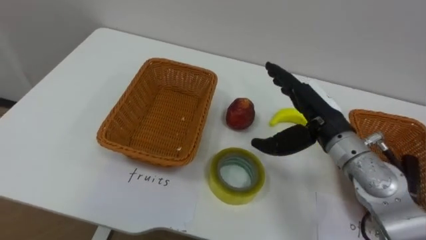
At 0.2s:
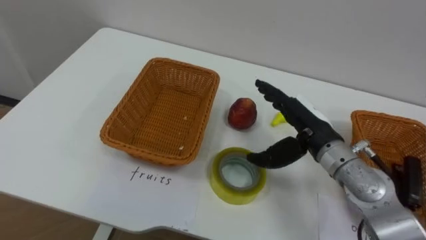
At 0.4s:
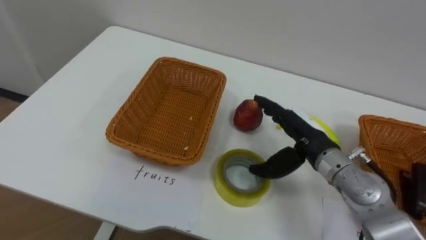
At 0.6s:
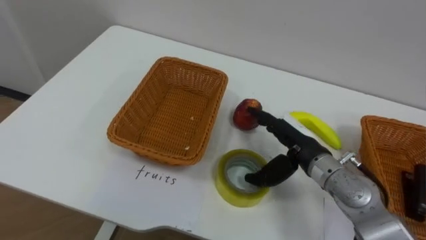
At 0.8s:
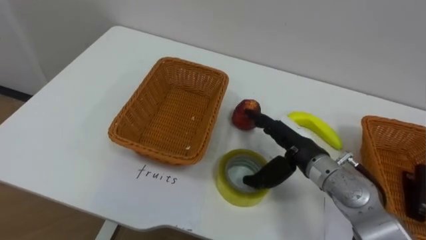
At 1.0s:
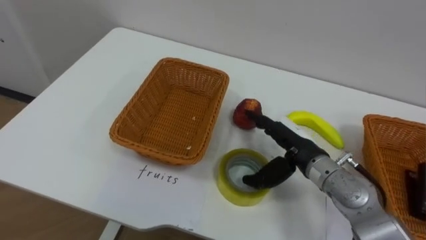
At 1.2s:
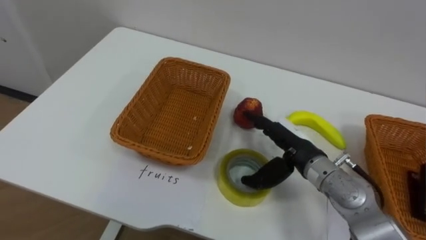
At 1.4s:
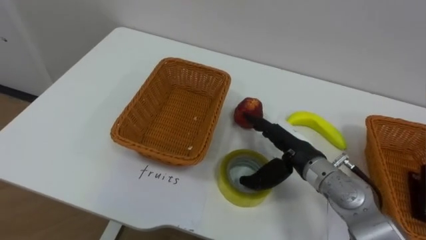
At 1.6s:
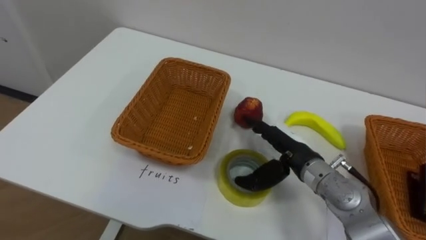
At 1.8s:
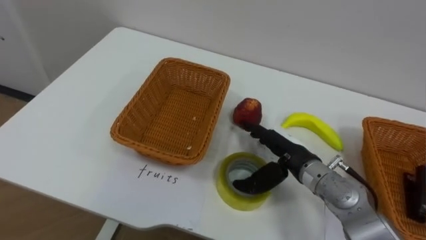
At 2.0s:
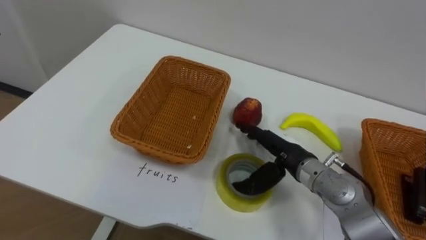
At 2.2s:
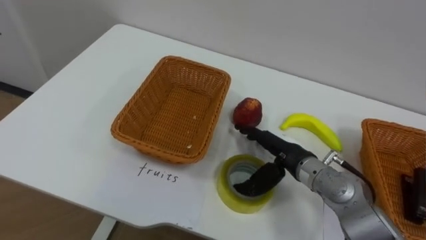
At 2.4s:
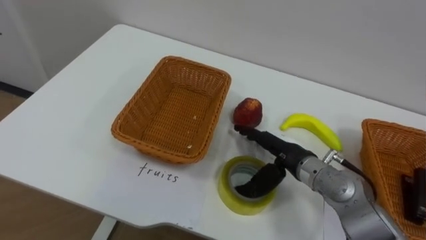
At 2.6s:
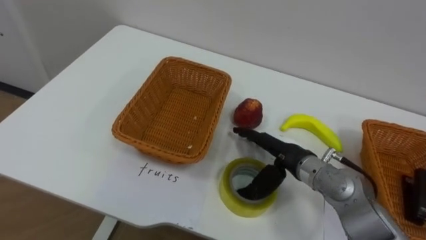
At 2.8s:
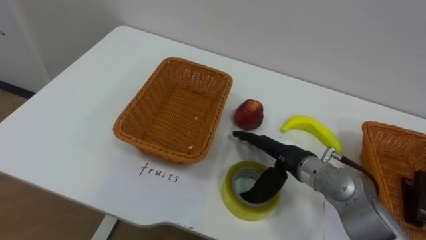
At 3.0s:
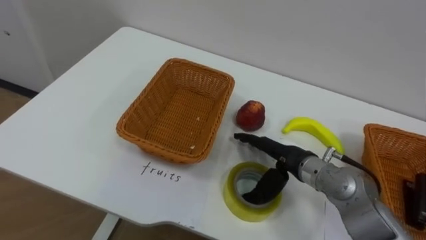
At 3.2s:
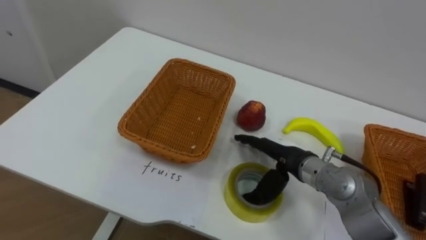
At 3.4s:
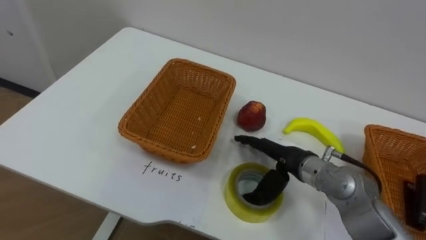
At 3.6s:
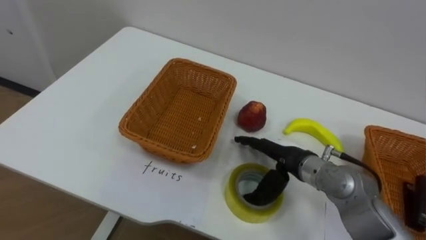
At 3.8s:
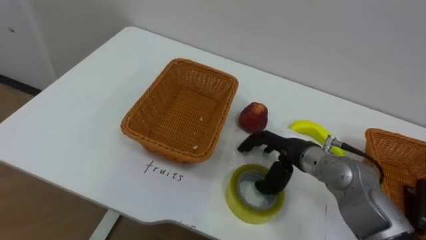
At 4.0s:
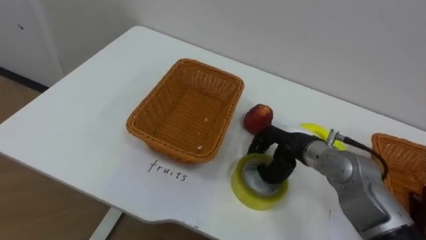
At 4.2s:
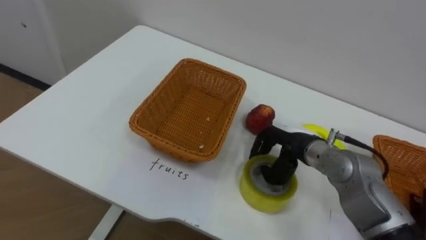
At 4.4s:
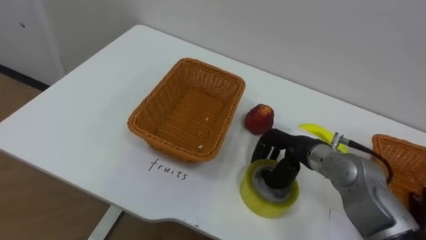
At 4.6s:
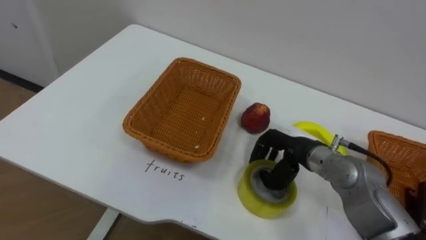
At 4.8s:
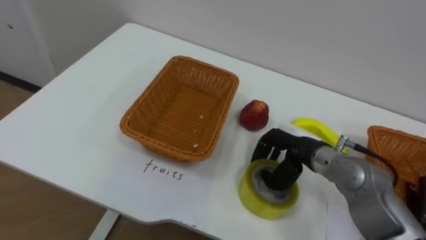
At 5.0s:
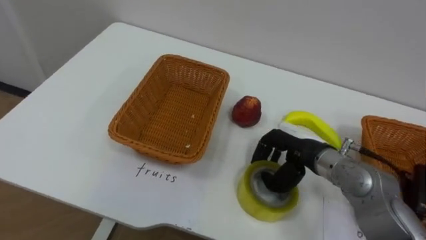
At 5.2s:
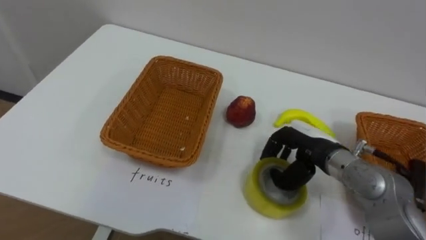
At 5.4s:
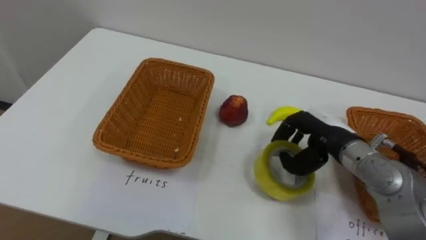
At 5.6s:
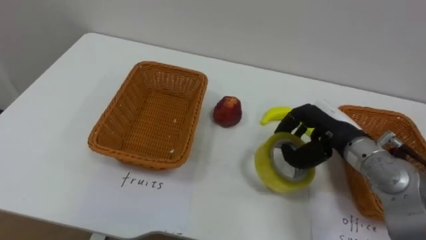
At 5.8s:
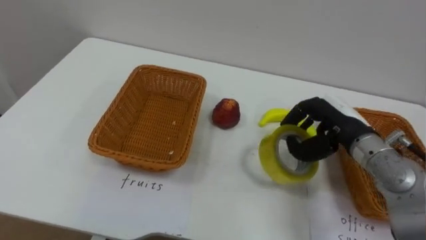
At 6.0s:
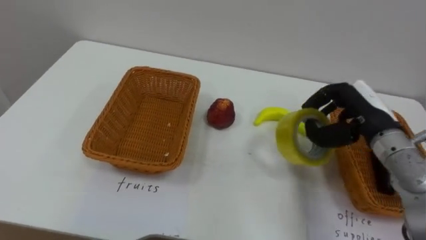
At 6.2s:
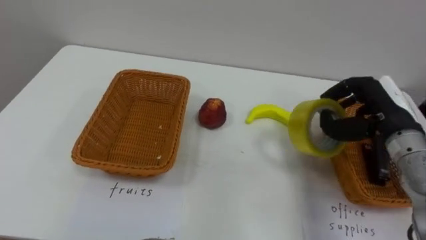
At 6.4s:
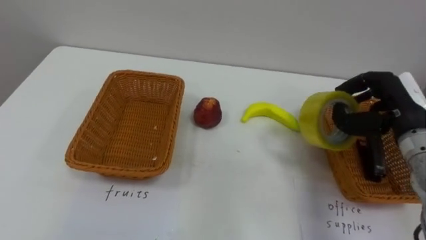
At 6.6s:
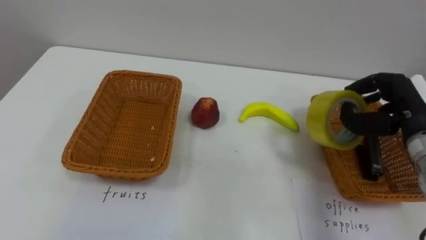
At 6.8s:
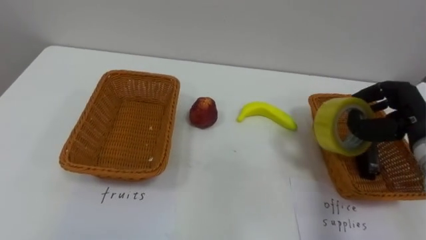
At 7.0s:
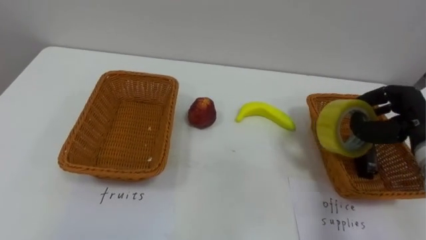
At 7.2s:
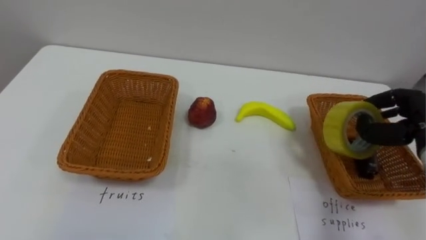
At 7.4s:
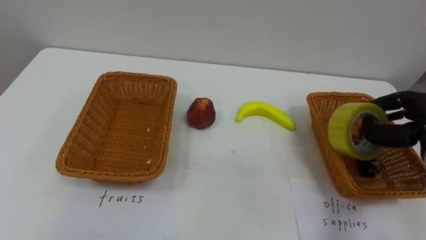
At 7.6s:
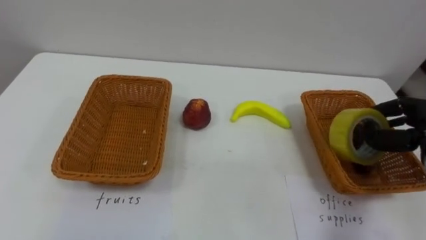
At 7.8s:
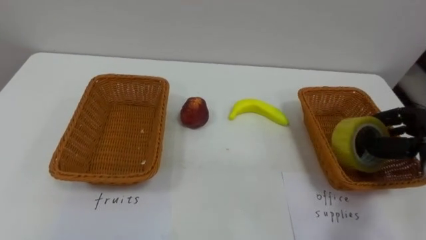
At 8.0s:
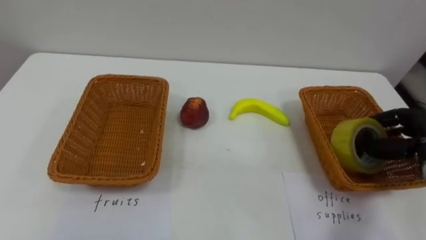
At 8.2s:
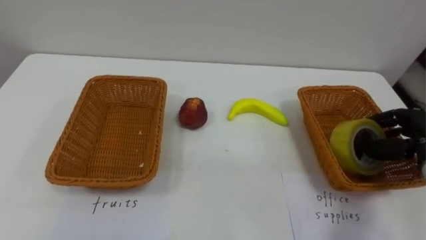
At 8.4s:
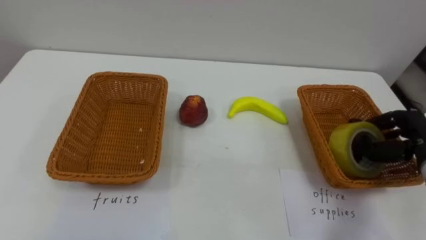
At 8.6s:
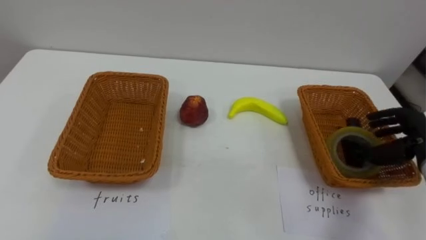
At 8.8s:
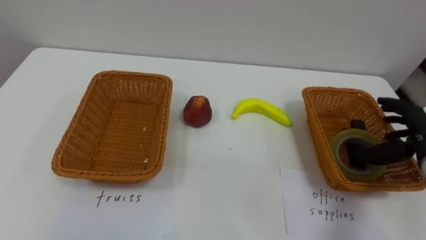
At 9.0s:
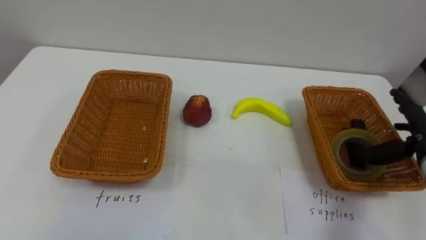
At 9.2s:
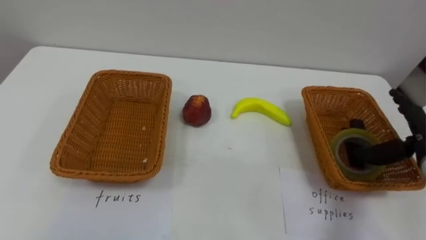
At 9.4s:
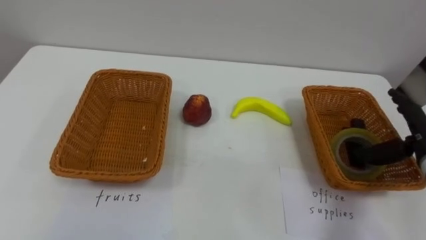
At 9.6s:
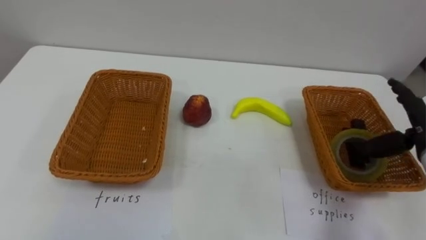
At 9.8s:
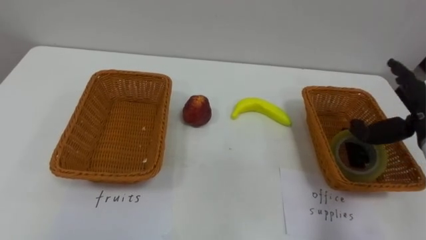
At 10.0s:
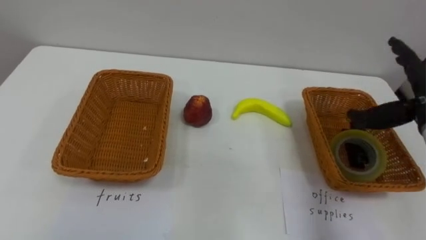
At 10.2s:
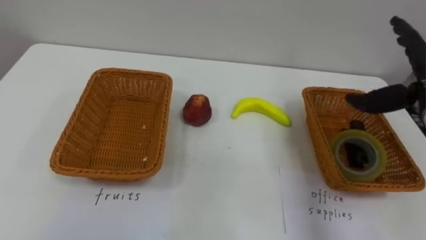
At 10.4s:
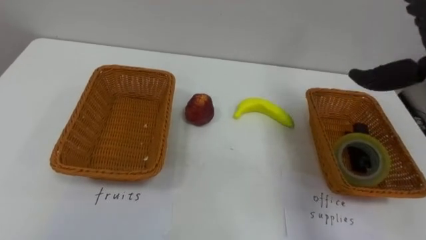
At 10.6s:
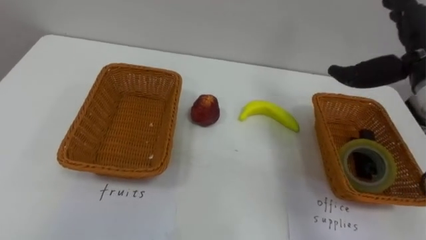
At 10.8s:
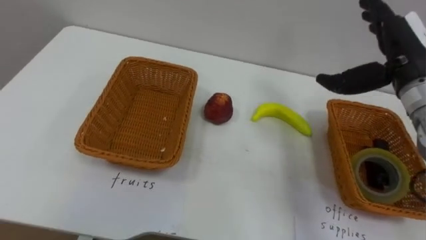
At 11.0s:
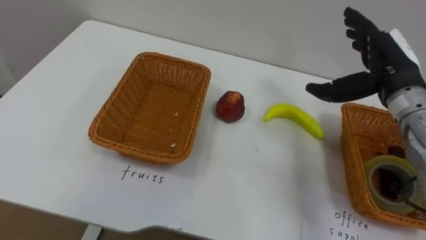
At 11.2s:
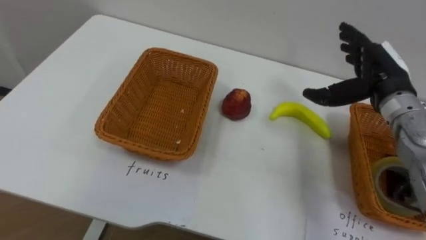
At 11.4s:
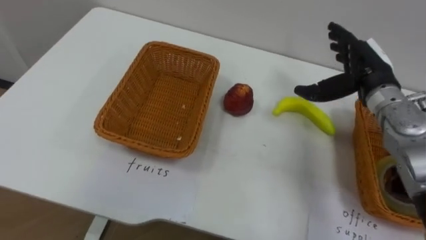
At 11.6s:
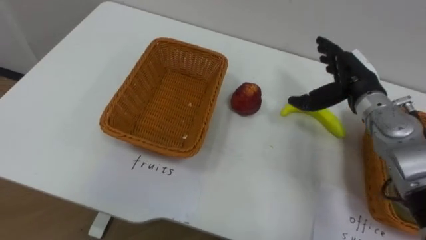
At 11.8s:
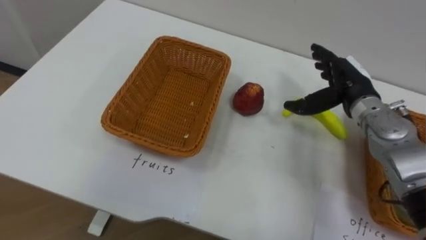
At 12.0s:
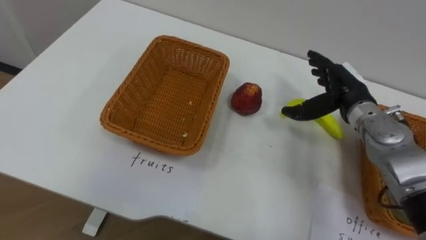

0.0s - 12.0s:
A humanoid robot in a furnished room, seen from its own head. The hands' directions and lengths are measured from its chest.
Task of the whole recording: Separate the items on the table and place them into the two baskets.
0.0s - 1.6s: The right hand heads downward, covering about 10 cm.
3.0s - 4.4s: The right hand closes up.
4.4s - 6.0s: The right hand goes roughly 15 cm to the right and upward.

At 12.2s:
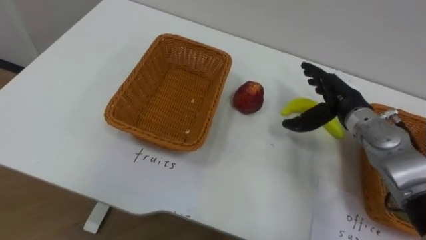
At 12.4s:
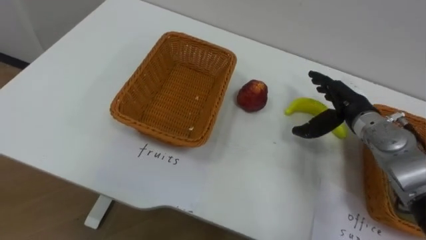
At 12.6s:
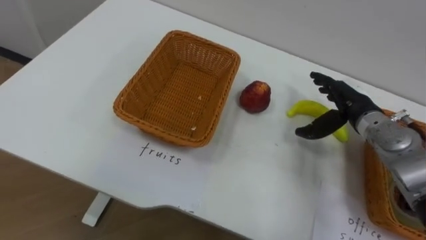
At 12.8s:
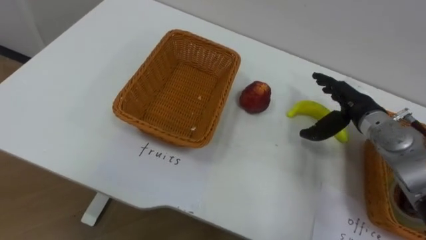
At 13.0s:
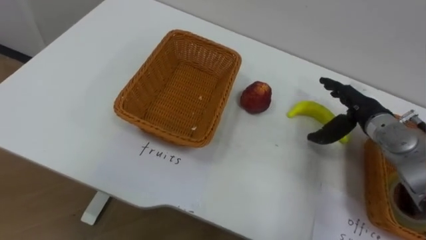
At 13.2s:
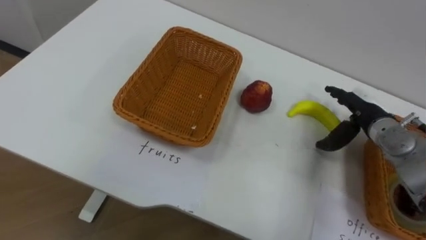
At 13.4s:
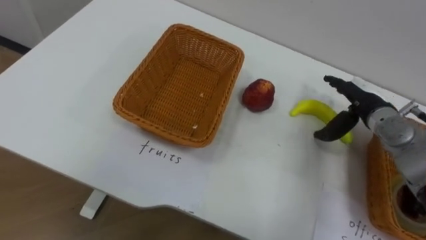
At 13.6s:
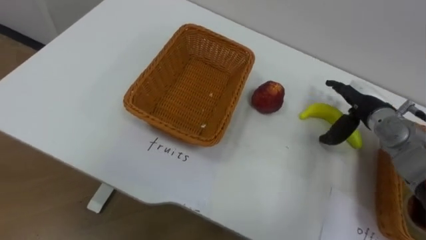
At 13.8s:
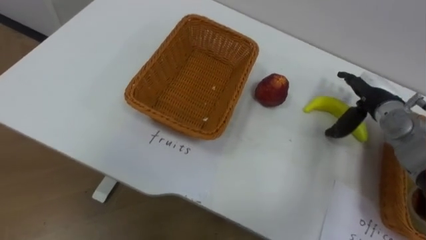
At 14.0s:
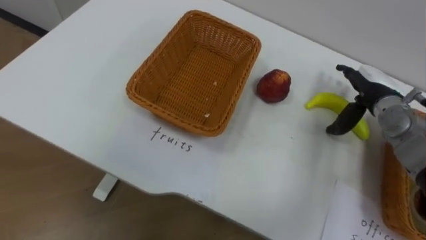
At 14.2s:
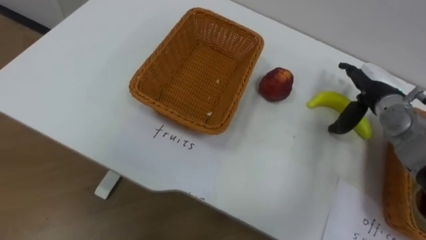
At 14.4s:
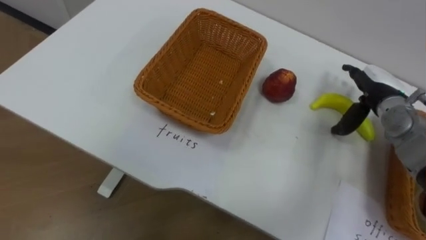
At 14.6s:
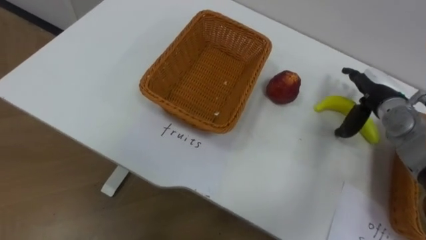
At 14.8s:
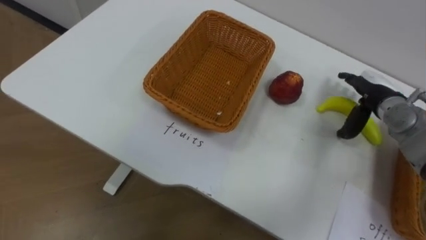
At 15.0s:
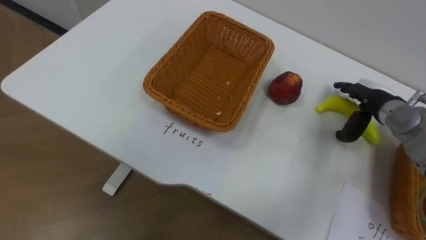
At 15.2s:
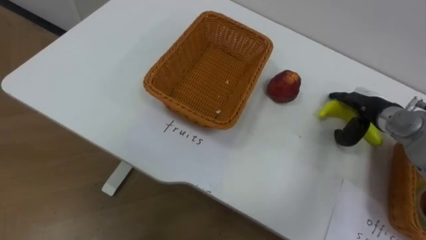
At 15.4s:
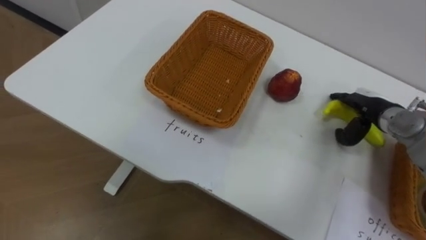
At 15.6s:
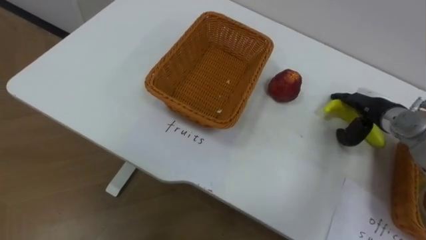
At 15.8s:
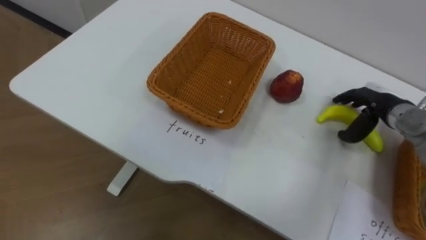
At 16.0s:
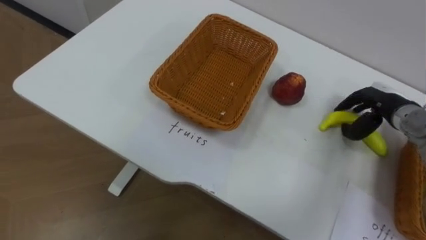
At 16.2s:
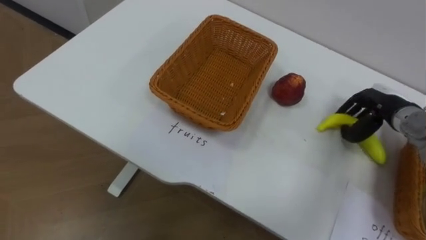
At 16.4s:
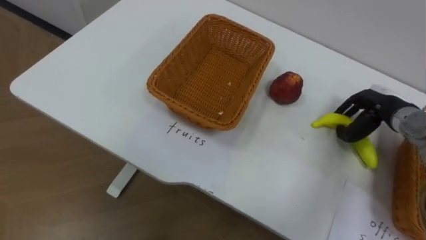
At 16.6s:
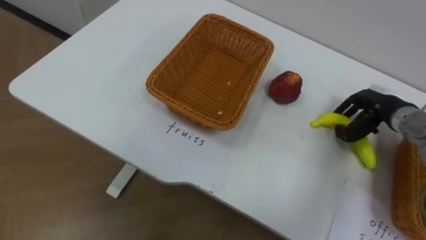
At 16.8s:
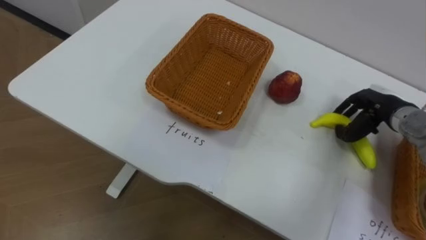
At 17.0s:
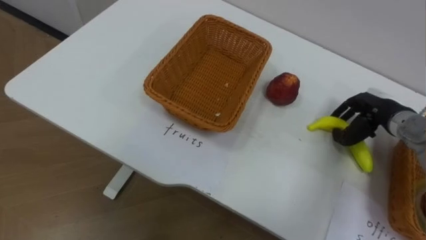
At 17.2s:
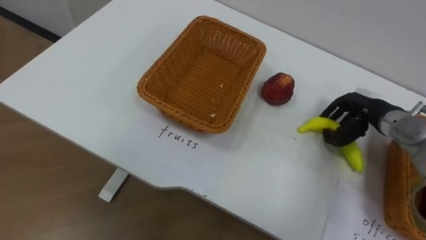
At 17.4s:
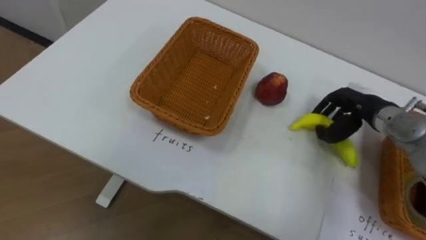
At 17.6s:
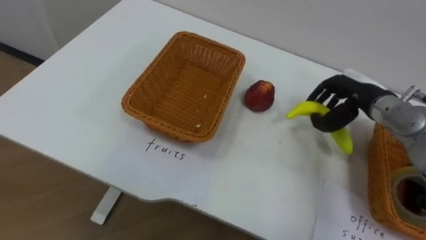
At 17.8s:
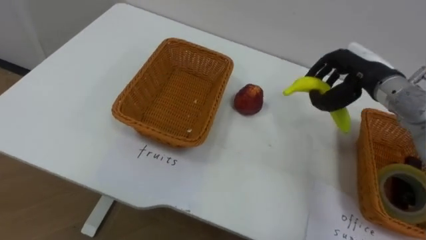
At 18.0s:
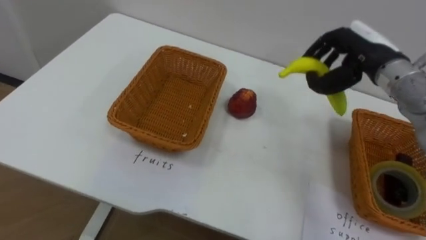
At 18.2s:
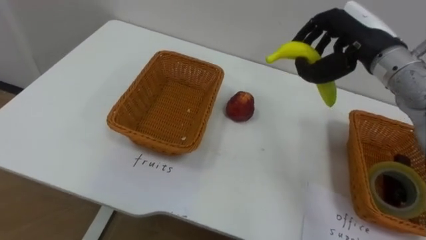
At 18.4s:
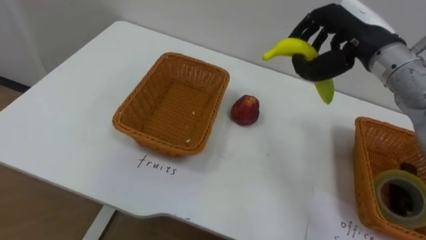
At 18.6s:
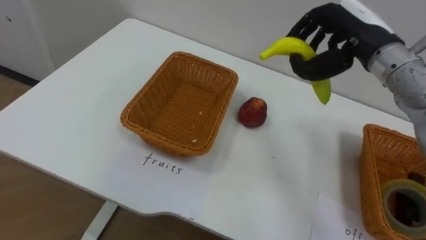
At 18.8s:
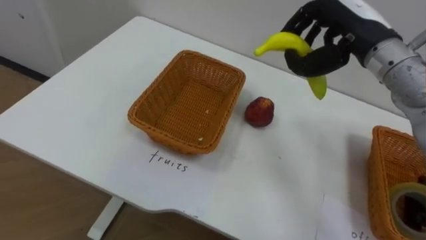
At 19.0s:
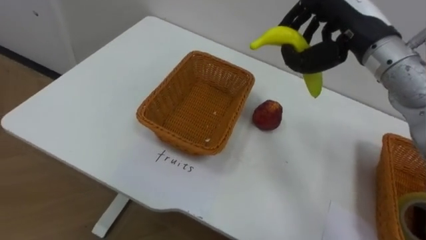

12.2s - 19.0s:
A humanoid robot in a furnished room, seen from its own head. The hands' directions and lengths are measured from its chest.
Task of the whole recording: Separate the items on the table and place them into the two baskets.
12.2s - 13.6s: The right hand travels to the right by roughly 5 cm.
15.0s - 16.2s: The right hand closes.
16.2s - 17.6s: The right hand travels to the left by approximately 5 cm.
17.6s - 19.0s: The right hand goes some 15 cm upward and to the left.
